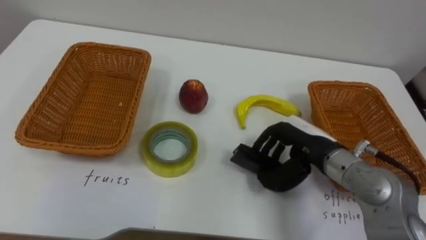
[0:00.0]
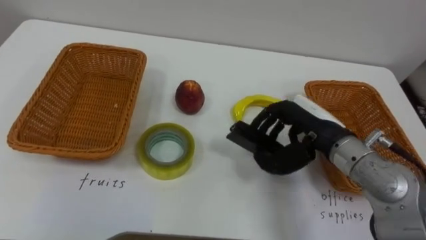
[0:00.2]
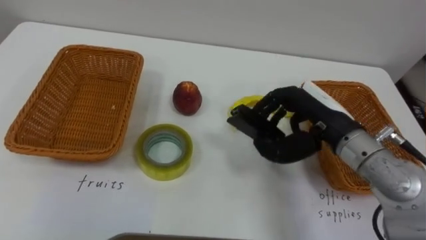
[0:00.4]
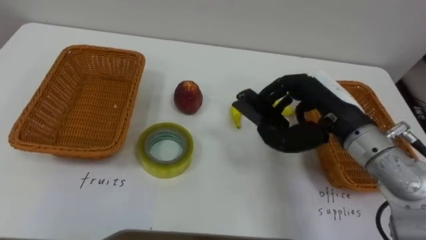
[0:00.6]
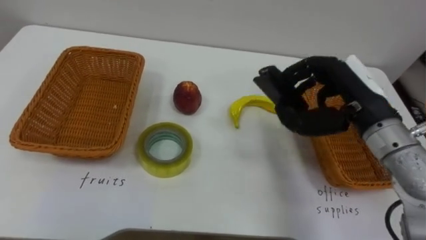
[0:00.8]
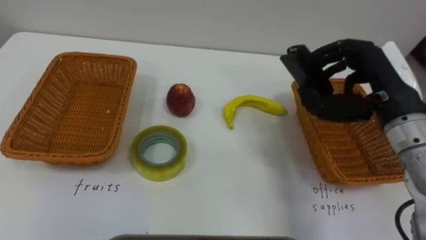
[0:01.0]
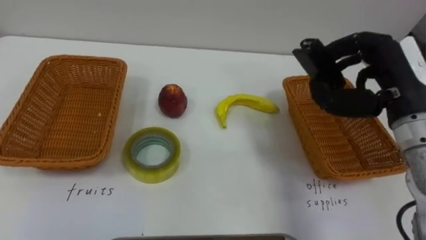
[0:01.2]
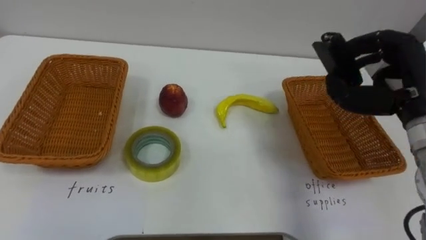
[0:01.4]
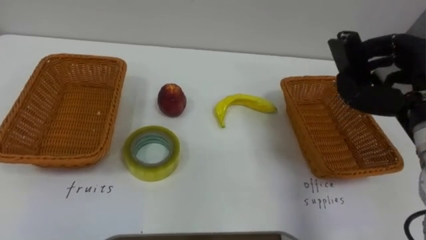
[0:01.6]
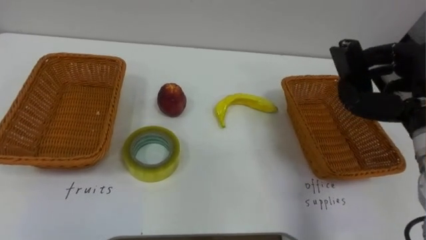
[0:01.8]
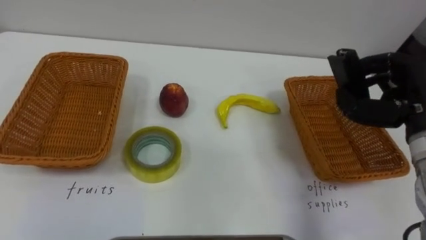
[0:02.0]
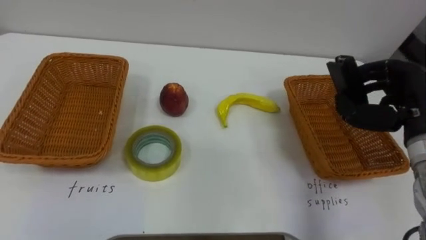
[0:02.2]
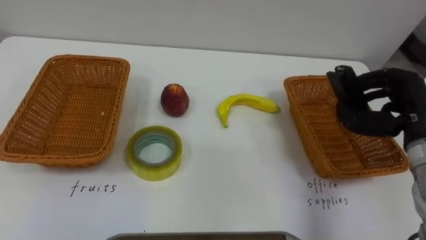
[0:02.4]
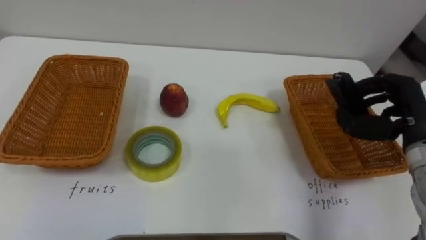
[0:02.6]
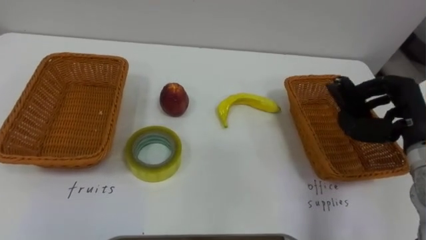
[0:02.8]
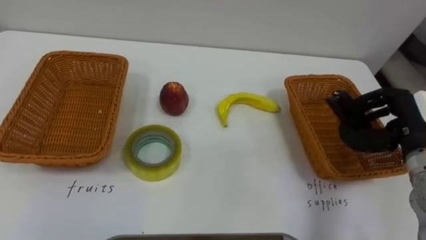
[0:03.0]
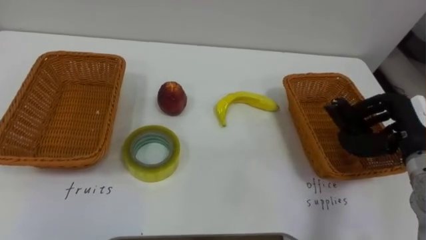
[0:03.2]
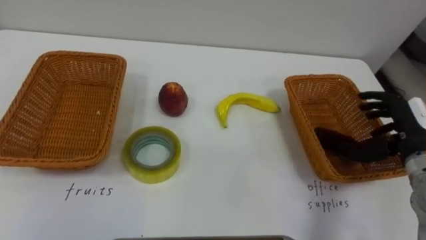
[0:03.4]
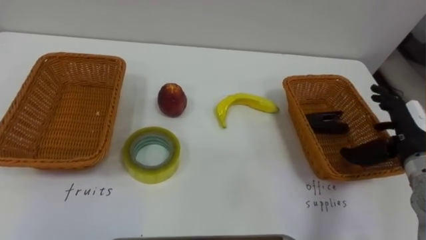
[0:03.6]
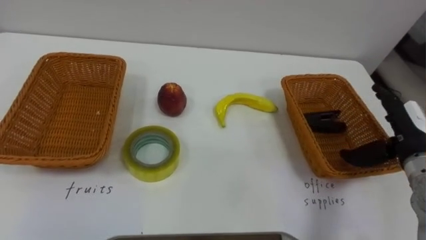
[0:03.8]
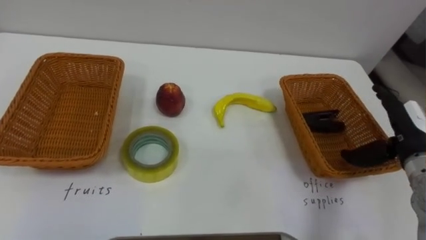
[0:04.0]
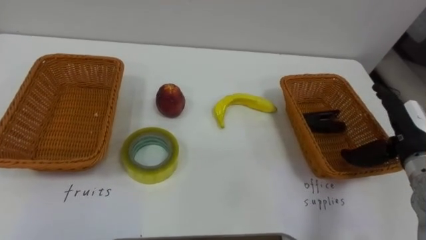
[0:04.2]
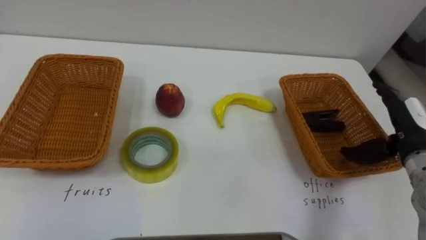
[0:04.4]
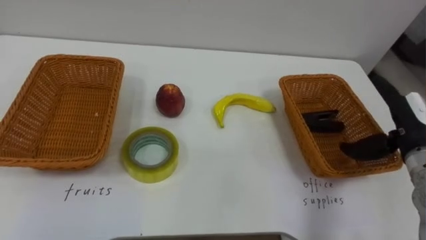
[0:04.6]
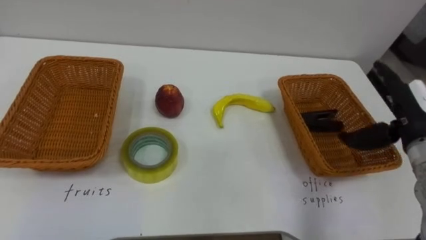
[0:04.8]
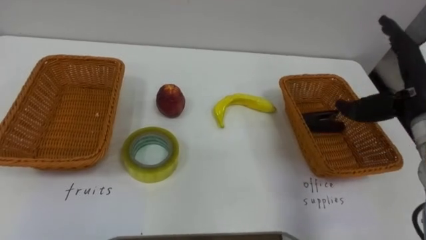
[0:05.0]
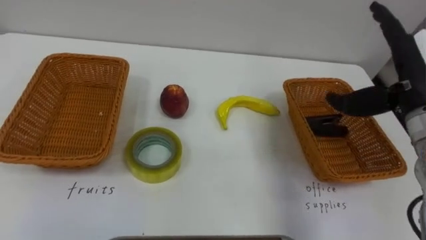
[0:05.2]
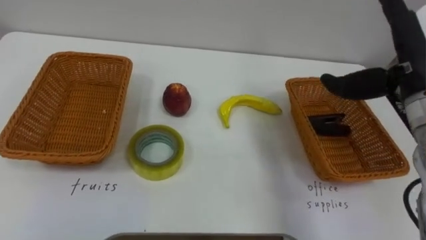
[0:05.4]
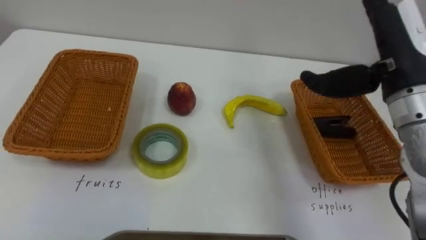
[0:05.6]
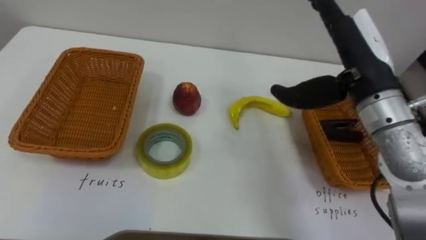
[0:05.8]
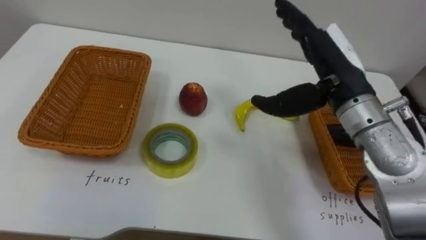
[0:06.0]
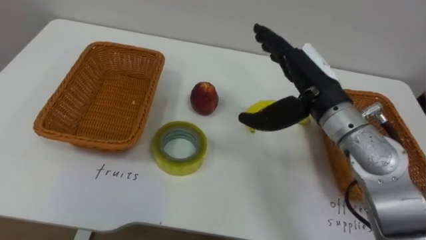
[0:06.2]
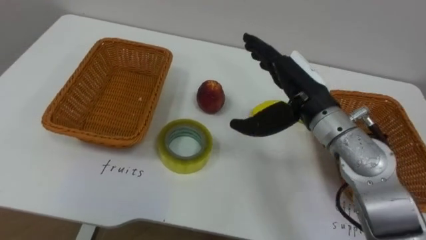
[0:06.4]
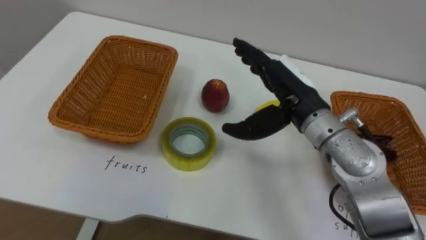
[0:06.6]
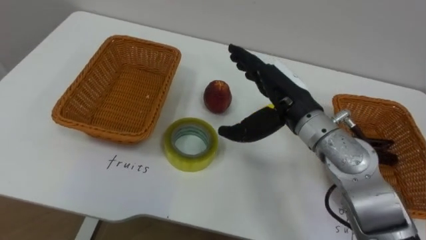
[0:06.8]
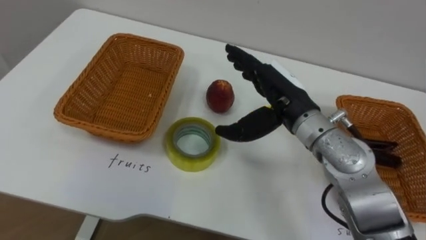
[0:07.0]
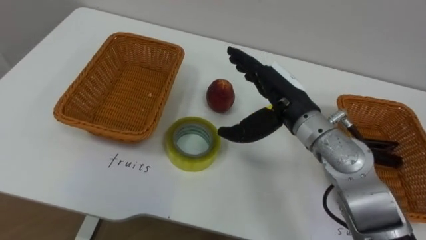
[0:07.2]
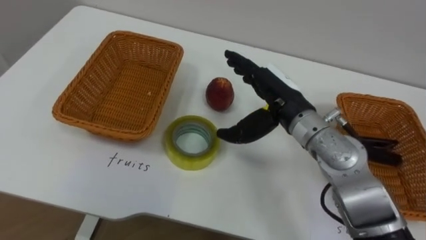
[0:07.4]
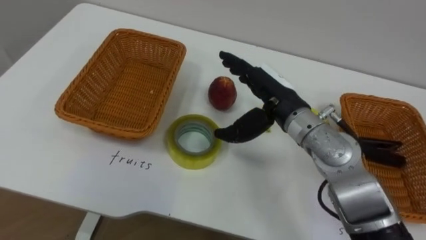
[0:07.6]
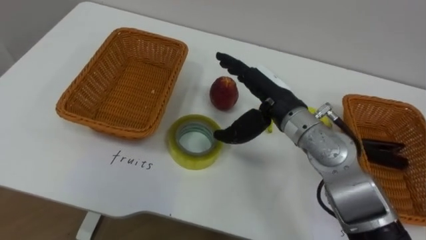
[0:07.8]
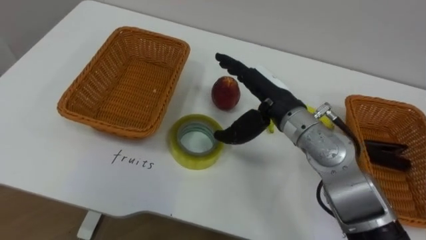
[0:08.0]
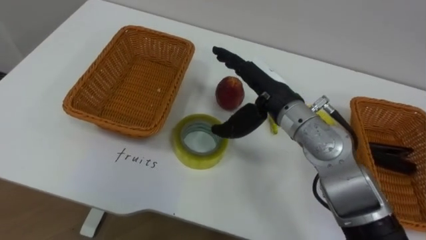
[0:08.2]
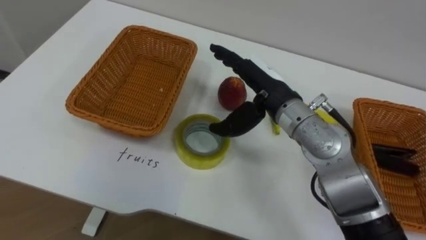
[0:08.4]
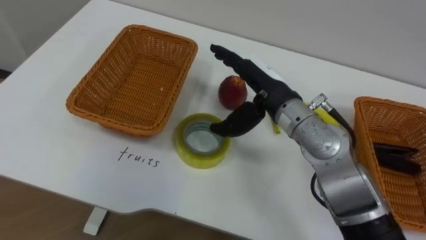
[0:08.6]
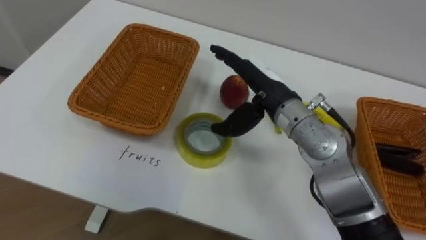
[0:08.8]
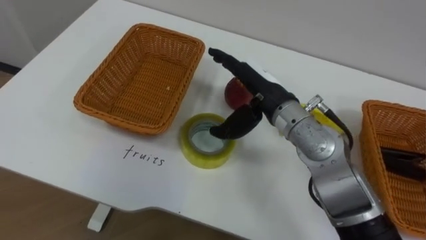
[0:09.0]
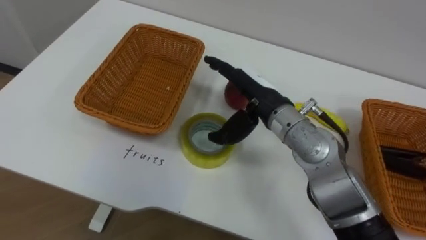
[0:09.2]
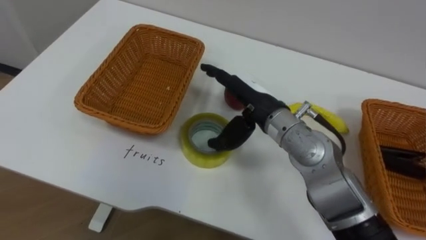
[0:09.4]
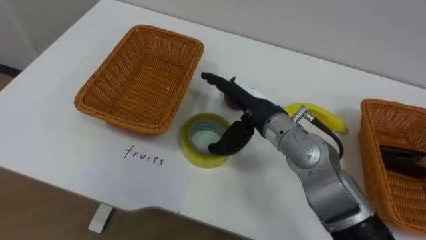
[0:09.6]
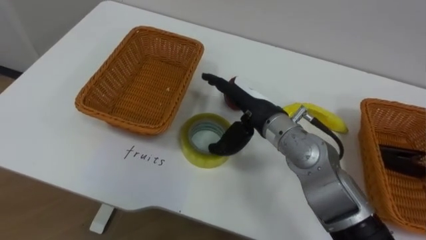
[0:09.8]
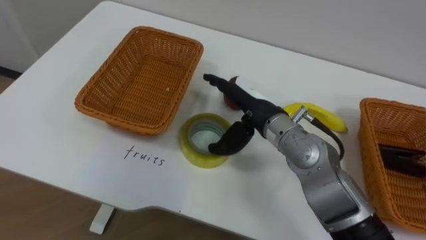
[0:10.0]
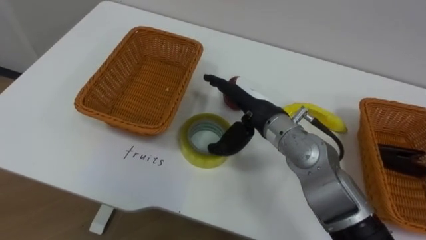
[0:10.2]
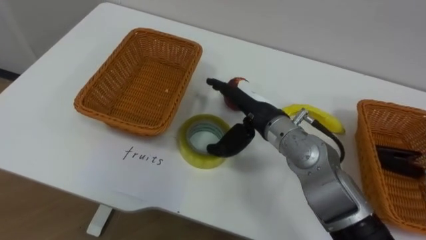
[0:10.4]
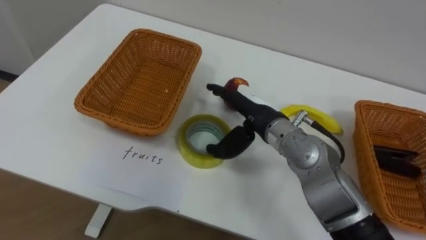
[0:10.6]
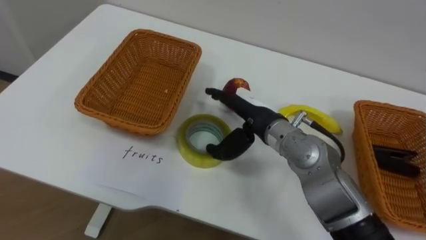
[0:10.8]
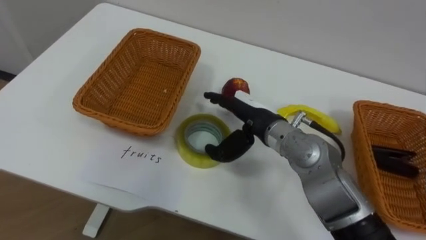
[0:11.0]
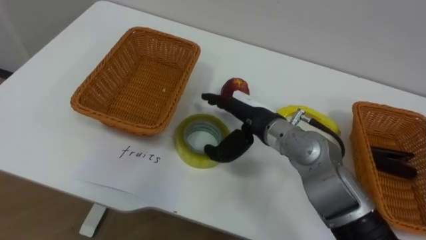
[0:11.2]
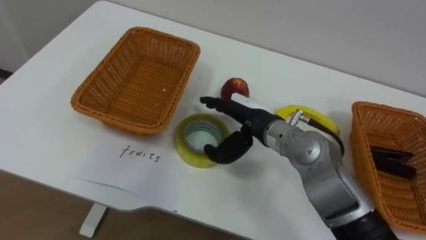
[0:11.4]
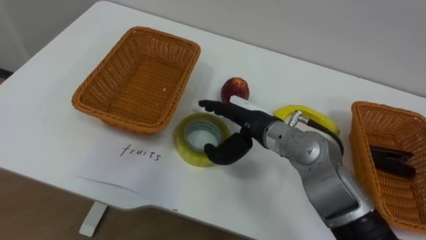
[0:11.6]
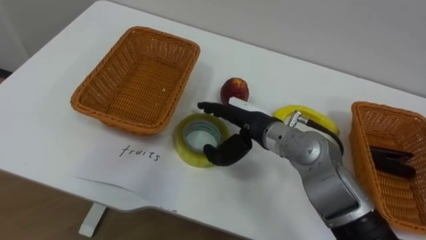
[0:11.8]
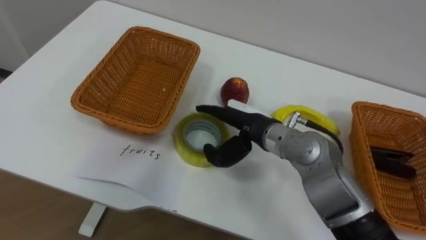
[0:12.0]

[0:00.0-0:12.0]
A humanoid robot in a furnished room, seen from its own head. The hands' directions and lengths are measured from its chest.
Task of the whole recording: Separate the items on the table and place them into the two baskets.
0:00.0 to 0:01.6: The right hand is displaced to the right and upward by some 15 cm.
0:01.6 to 0:03.0: The right hand goes some 10 cm downward.
0:03.0 to 0:04.4: The right hand opens.
0:04.4 to 0:06.0: The right hand moves to the left and upward, roughly 20 cm.
0:06.0 to 0:07.6: The right hand heads to the left and downward, covering about 10 cm.

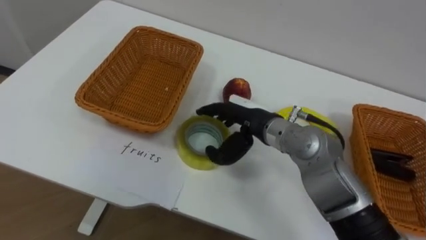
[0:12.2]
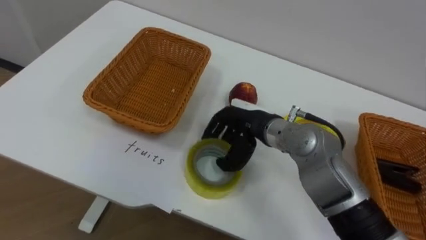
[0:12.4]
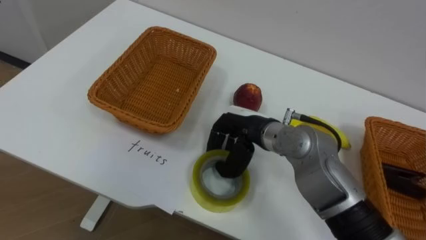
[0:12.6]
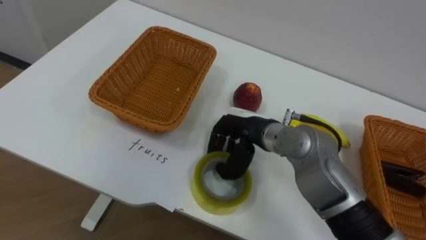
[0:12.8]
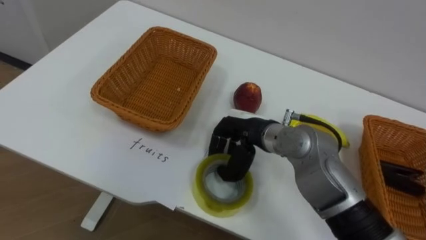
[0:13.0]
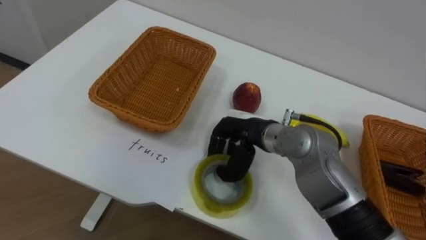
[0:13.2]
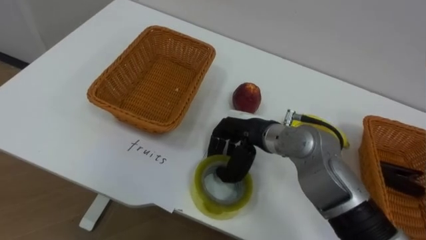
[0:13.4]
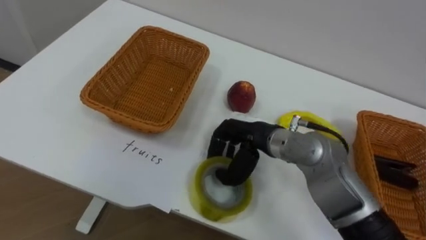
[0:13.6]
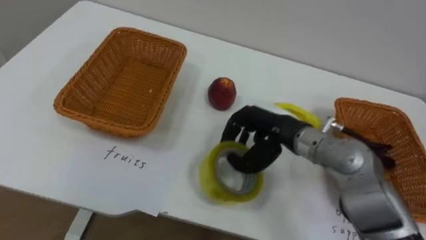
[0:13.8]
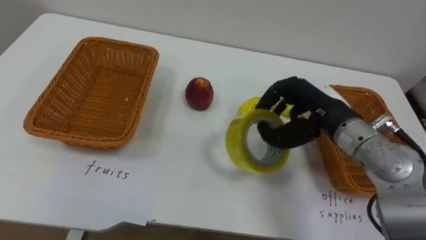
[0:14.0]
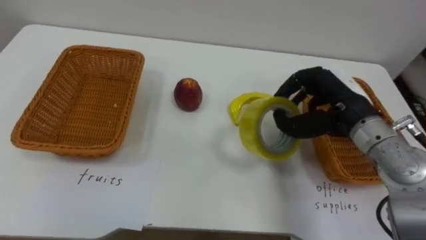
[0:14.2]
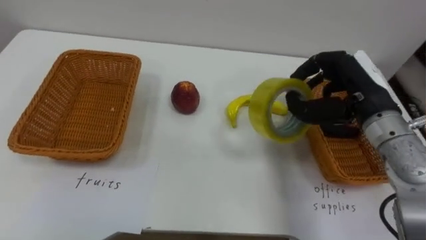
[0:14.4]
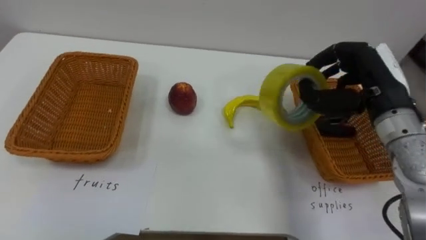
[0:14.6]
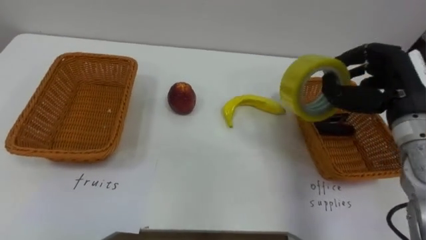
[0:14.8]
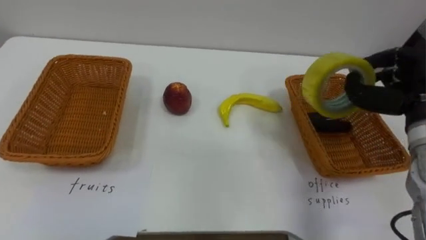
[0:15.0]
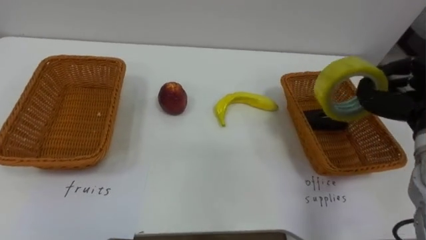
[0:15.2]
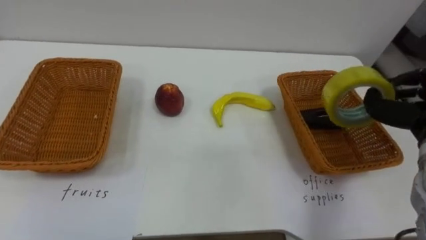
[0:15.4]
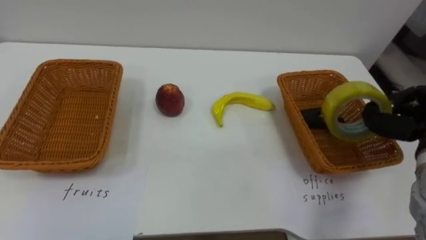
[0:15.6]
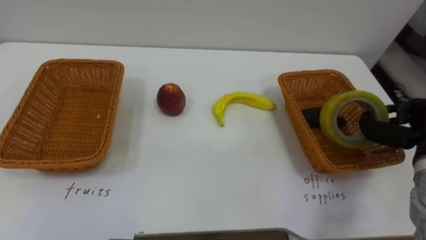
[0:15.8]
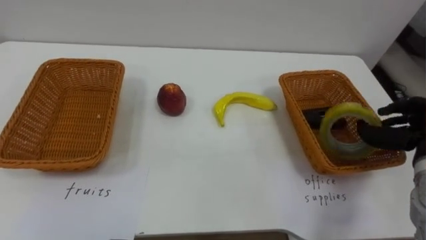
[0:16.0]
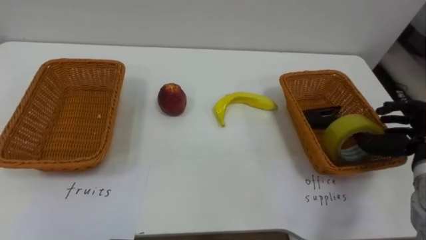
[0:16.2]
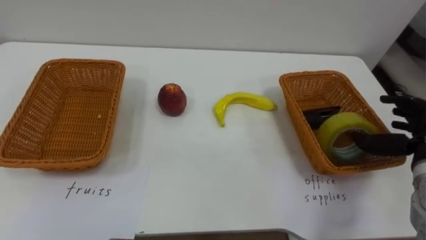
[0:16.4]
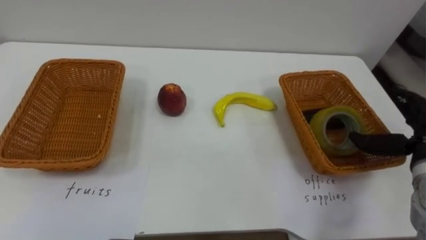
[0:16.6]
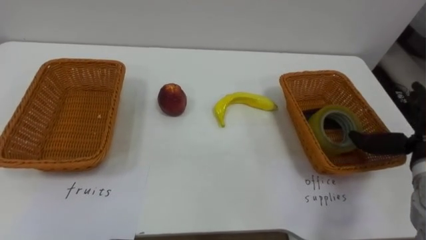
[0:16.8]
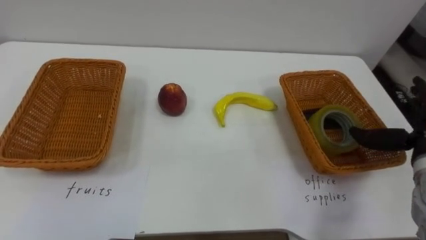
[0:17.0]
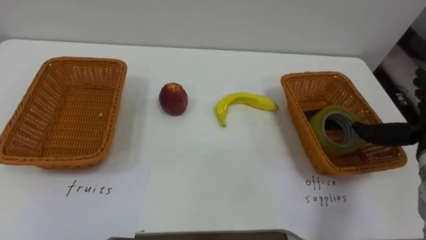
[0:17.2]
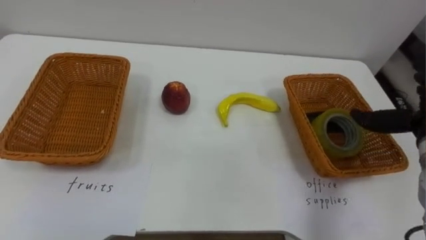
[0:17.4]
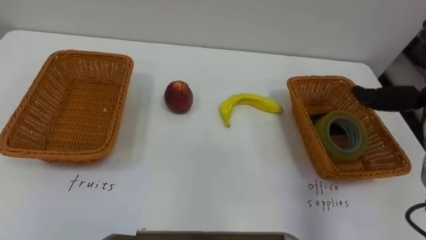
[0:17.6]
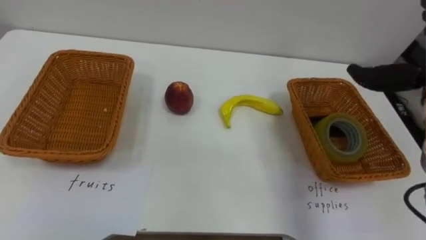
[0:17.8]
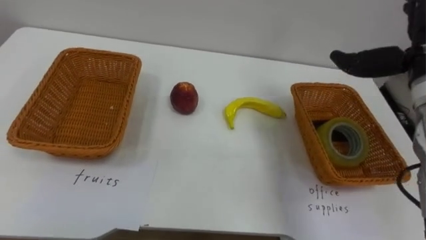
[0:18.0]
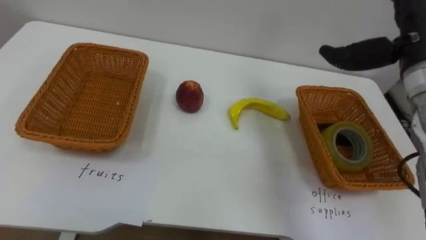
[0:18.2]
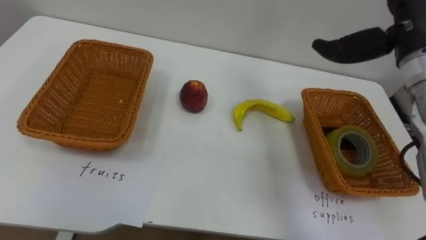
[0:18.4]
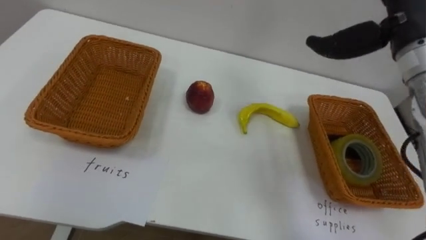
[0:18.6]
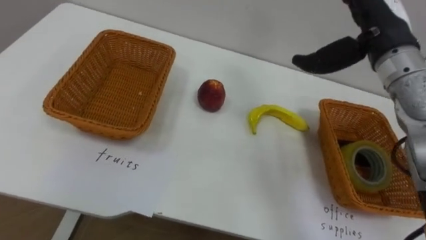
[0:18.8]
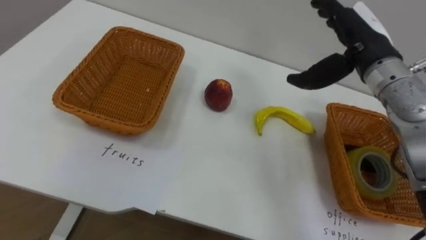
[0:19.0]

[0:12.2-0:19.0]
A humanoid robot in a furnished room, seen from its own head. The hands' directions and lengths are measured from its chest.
Task of the whole recording: Separate the items on the table and place them into the two baskets.
0:12.2 to 0:13.6: The right hand closes.
0:13.6 to 0:15.0: The right hand goes approximately 25 cm to the right.
